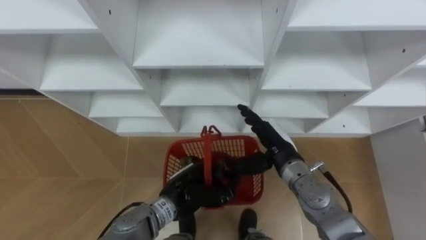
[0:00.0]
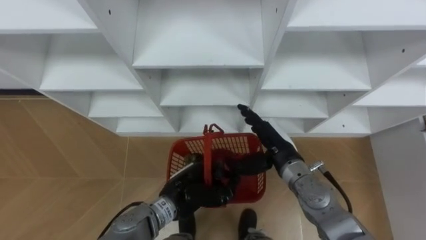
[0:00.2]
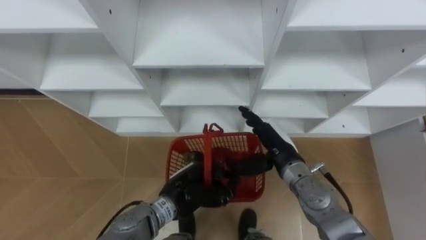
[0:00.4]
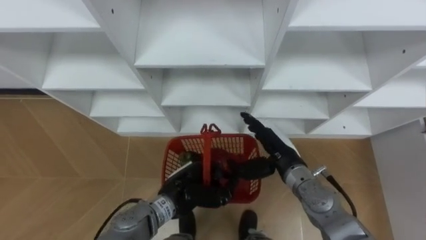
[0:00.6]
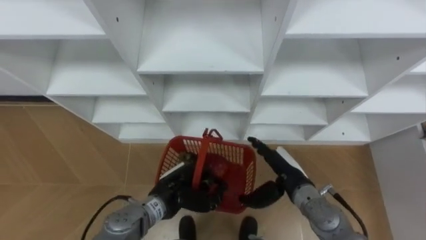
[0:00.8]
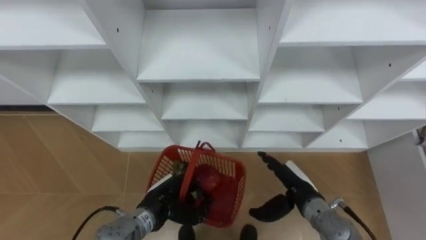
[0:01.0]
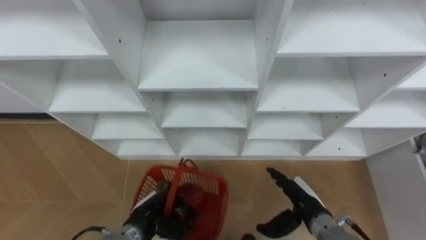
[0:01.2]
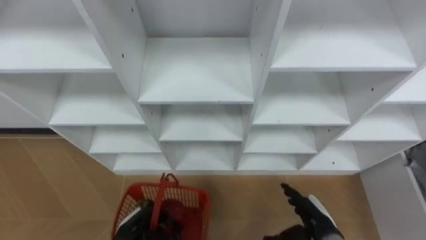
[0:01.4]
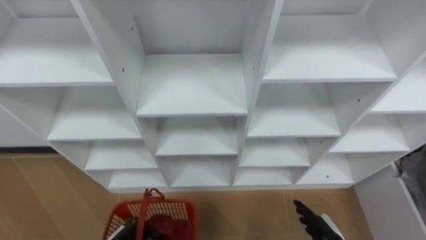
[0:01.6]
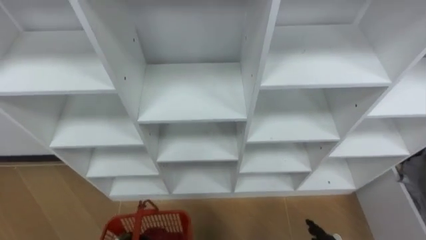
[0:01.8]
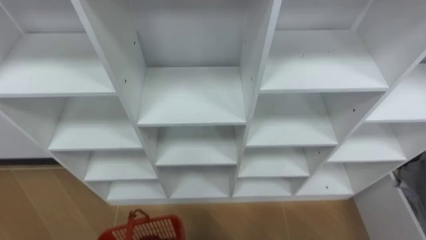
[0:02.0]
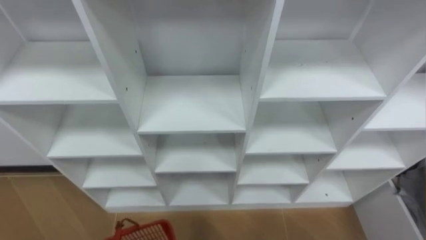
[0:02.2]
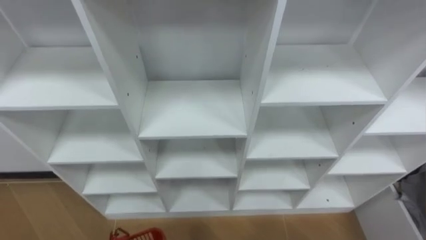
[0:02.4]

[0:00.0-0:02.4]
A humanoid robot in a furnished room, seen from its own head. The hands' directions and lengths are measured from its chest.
Task of the whole recording: Hold the basket and collect the fruits from 3 different cells of the closet into it.
0:00.0 to 0:01.2: The right hand moves downward, backward and to the right, some 15 cm. Meanwhile the left hand heads to the left and downward, covering roughly 10 cm.

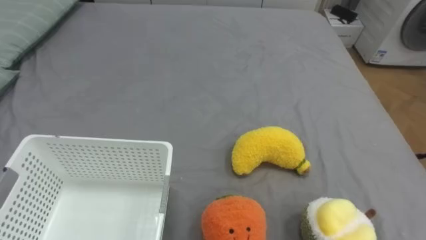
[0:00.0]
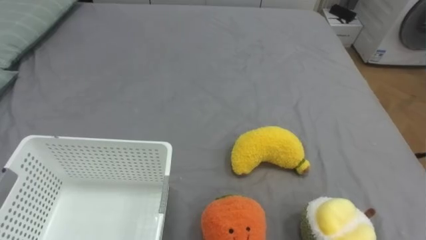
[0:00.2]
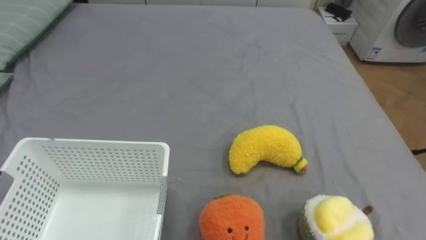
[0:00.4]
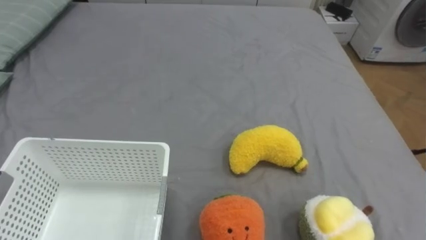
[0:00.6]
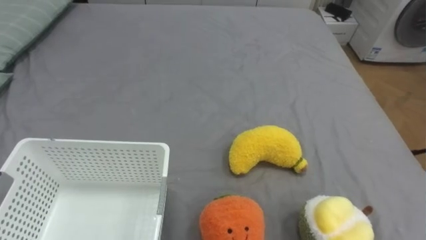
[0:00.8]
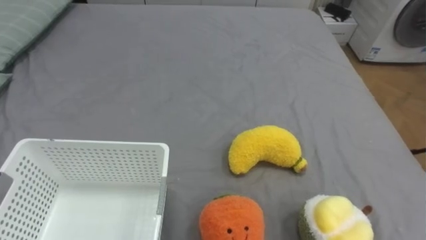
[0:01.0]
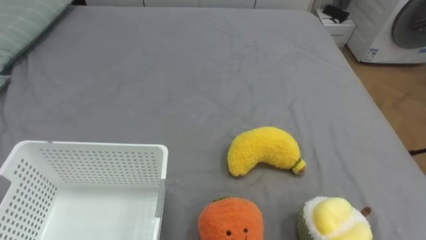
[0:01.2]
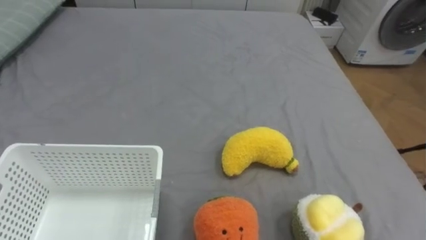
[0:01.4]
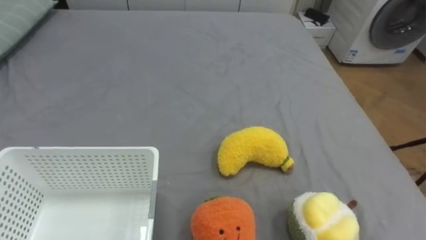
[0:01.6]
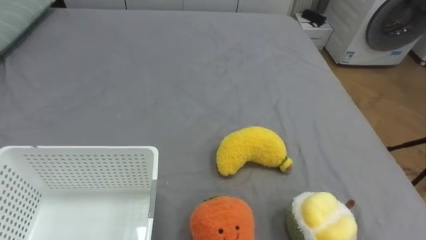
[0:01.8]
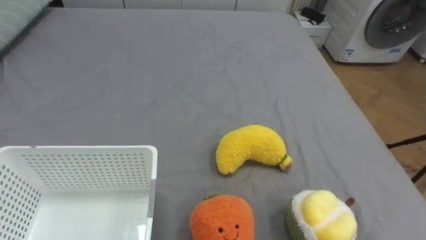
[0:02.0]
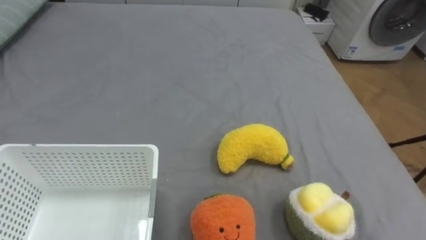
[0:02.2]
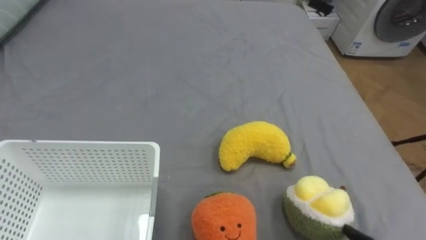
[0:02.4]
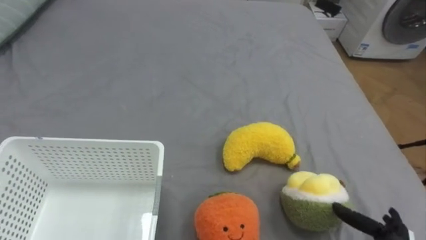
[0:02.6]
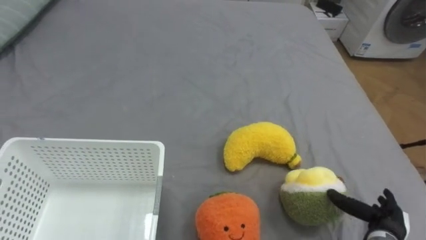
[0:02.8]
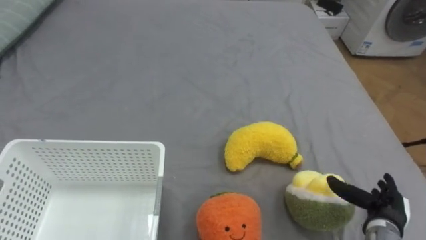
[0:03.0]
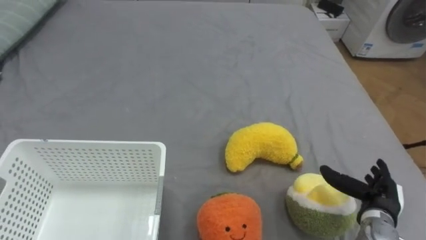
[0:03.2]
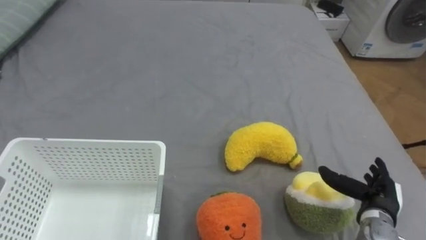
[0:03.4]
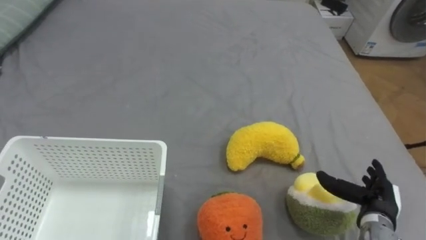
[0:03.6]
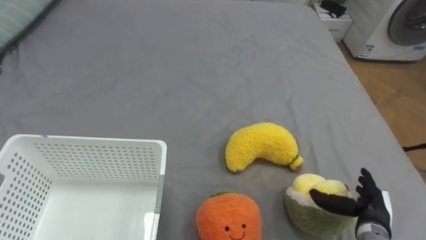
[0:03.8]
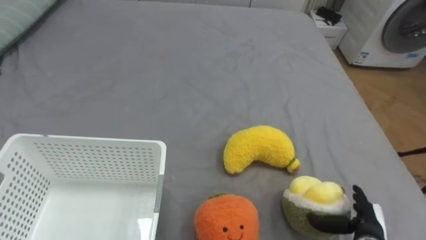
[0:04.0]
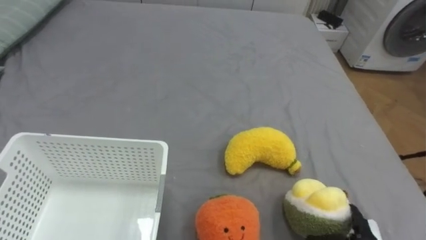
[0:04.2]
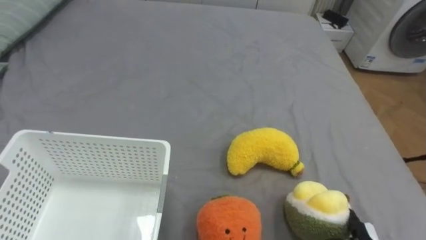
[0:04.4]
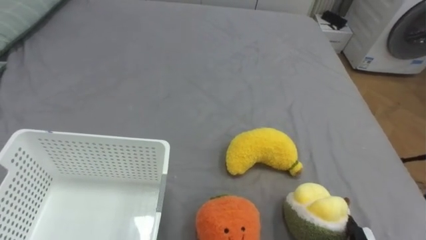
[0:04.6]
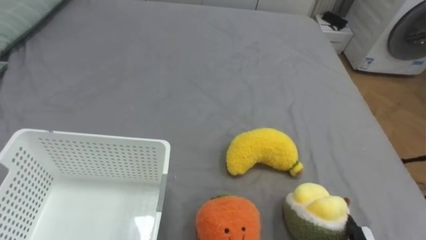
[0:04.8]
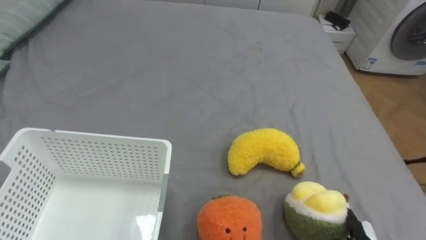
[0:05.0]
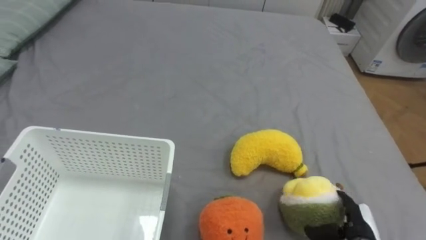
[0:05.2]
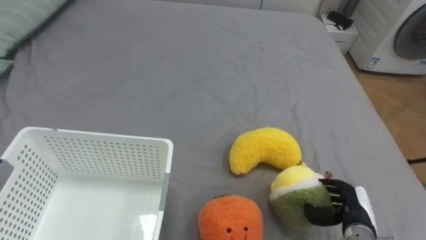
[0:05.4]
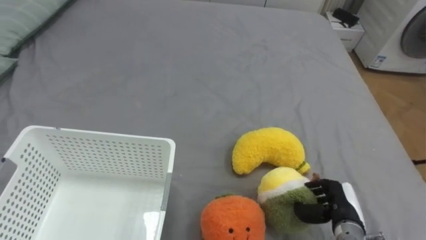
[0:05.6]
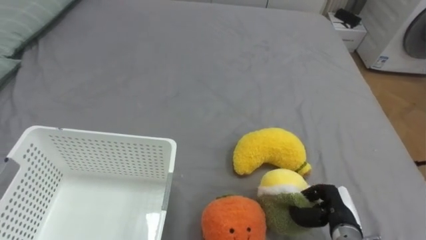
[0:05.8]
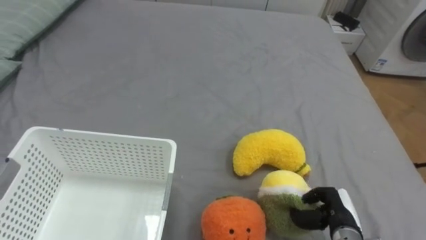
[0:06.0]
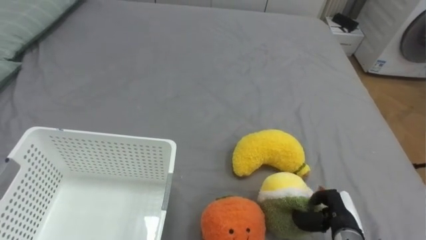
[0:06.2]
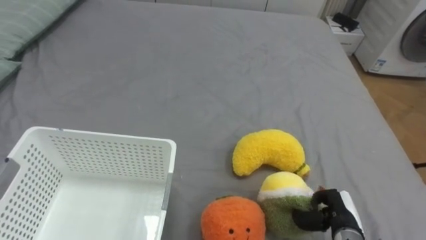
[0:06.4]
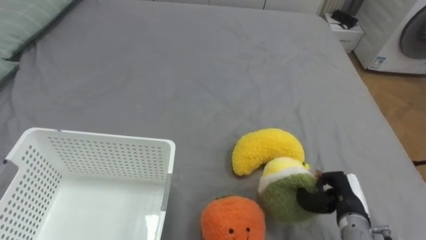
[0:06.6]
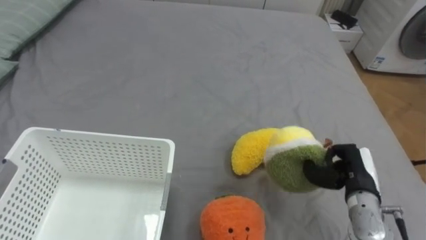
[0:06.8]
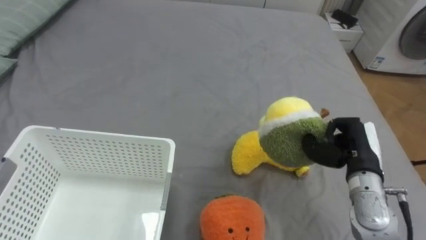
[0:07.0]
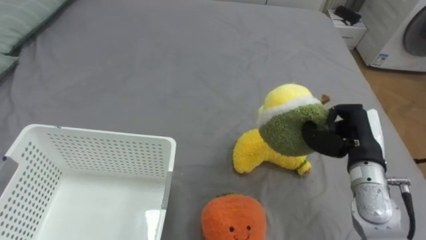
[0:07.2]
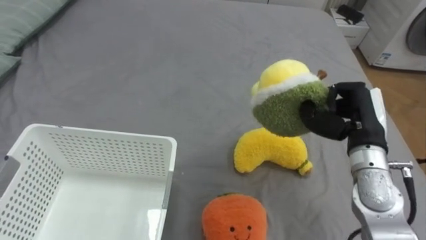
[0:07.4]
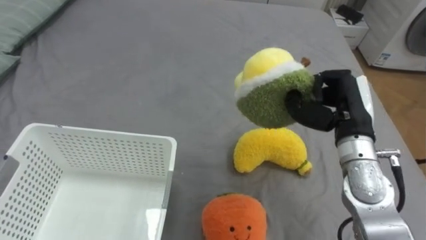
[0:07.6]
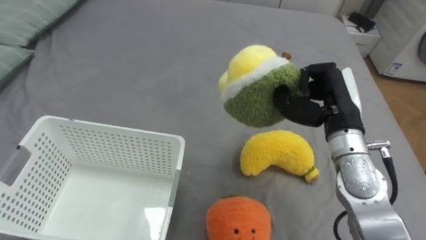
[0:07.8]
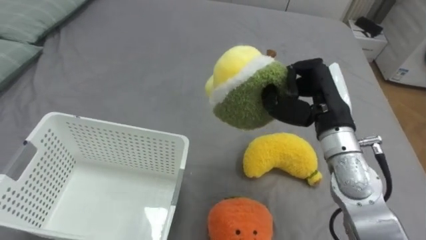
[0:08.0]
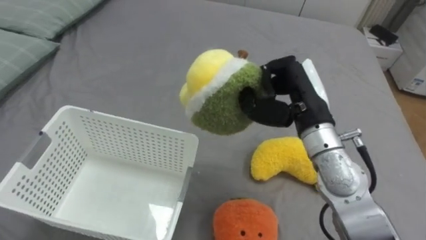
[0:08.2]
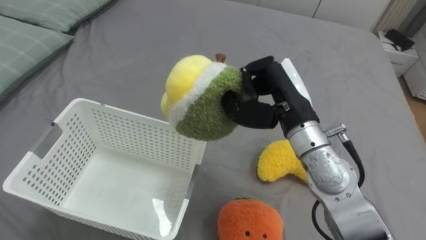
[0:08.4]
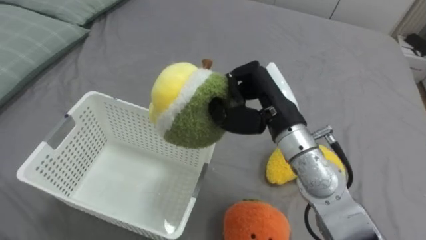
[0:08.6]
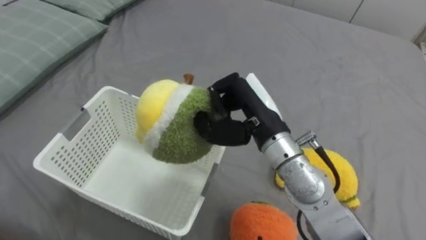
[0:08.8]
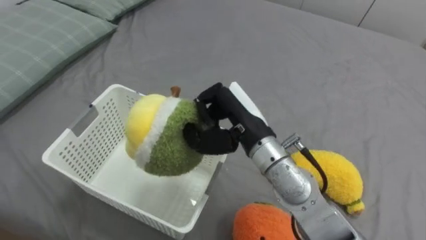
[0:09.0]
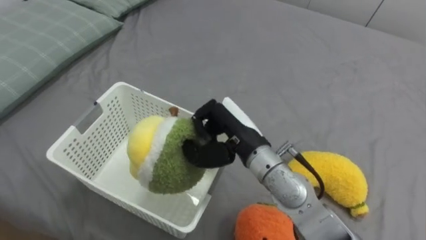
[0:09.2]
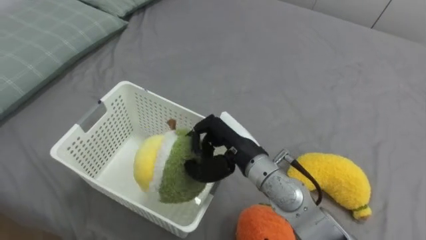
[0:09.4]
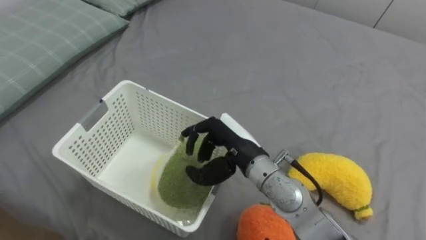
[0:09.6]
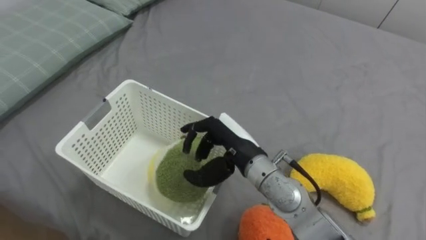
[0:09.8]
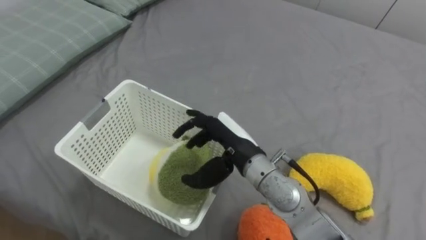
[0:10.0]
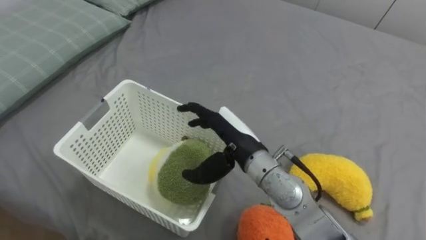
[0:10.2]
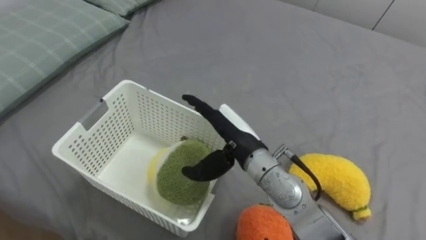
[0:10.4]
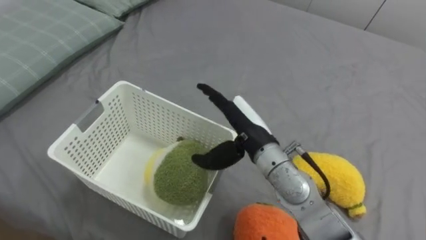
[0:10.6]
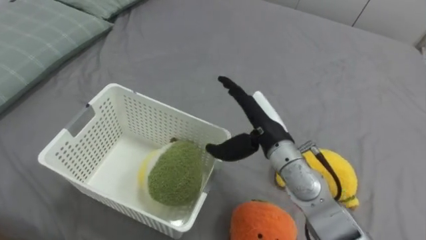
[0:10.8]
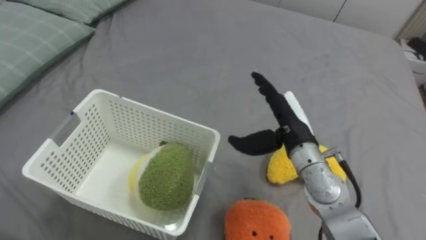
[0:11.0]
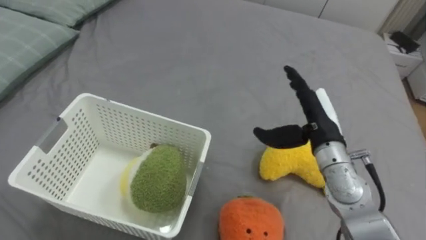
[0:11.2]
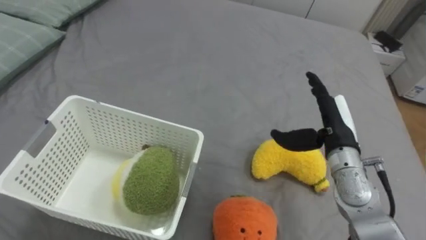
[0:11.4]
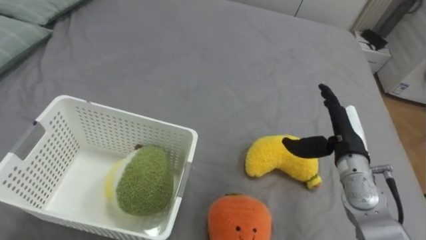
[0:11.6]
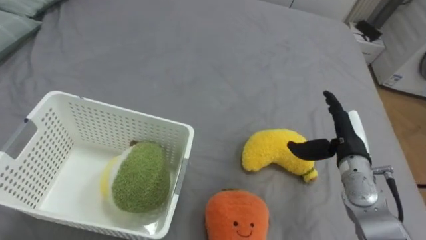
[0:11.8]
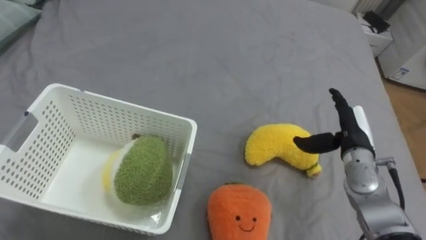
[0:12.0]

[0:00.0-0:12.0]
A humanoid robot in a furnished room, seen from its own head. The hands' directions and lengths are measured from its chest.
Task of the whole recording: Put the toys on the bed into the basket on the left.
0:06.0 to 0:07.6: The right hand travels upward and forward by approximately 25 cm.
0:07.6 to 0:09.0: The right hand heads to the left, covering roughly 20 cm.
0:09.0 to 0:10.4: The right hand opens.
0:10.4 to 0:12.0: The right hand heads to the right, covering about 25 cm.

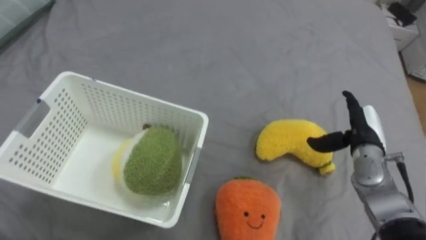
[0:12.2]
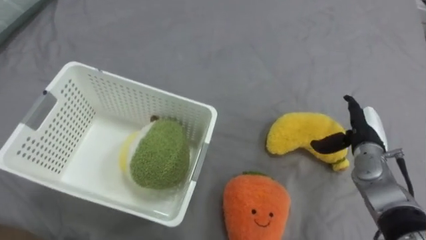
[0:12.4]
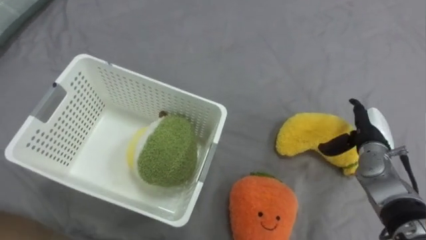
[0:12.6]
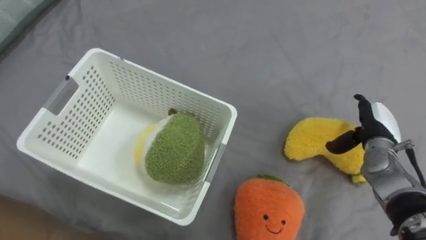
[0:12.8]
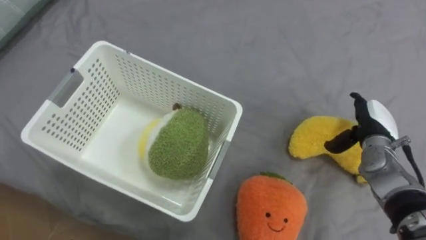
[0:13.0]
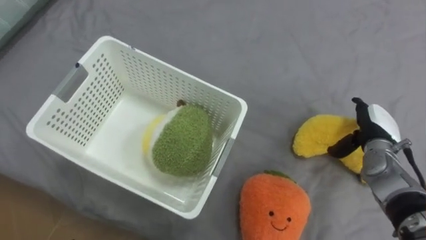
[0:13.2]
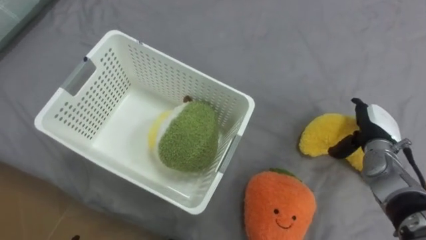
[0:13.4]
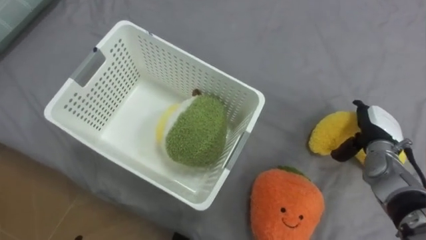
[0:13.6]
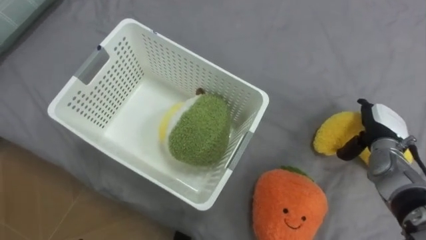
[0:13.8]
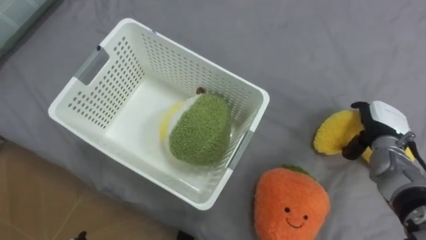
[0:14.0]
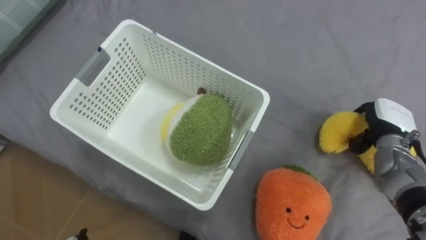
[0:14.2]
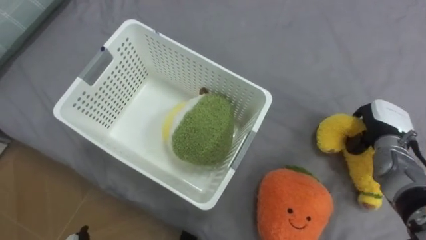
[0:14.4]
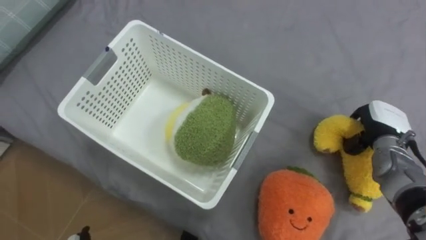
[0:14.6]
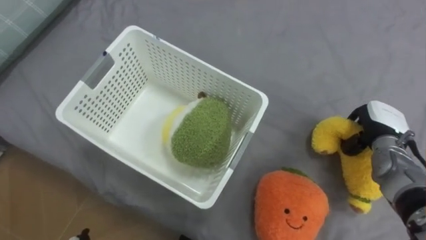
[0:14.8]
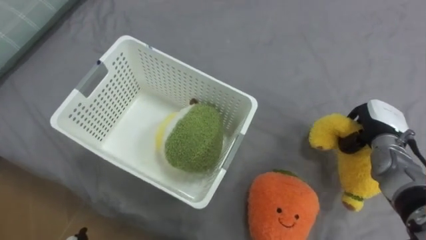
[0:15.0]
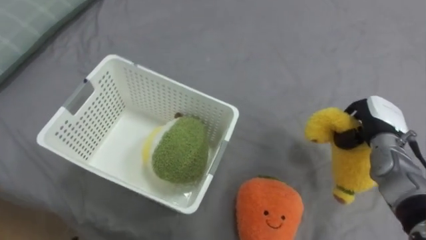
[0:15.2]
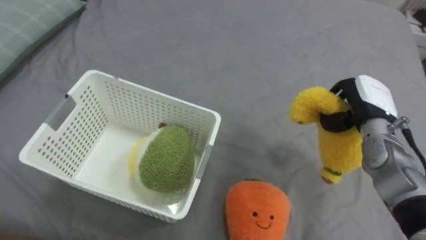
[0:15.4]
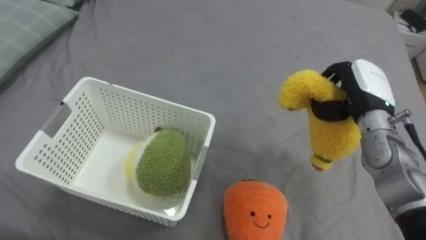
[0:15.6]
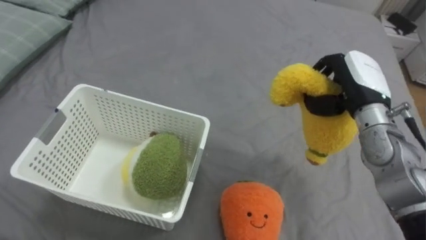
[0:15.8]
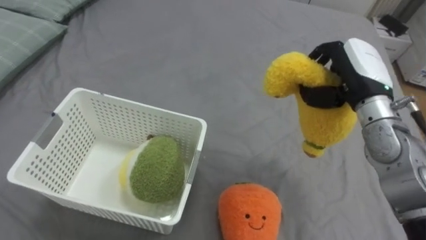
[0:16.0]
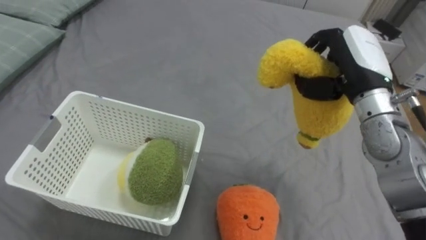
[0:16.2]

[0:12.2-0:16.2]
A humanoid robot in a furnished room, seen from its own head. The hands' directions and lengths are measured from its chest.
Task of the whole recording: Put the toys on the bed into the basket on the left.
0:13.6 to 0:14.8: The right hand closes its fingers.
0:14.8 to 0:16.2: The right hand is displaced upward and to the left by roughly 20 cm.
